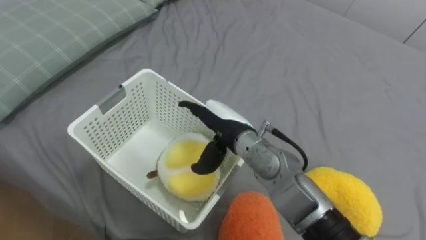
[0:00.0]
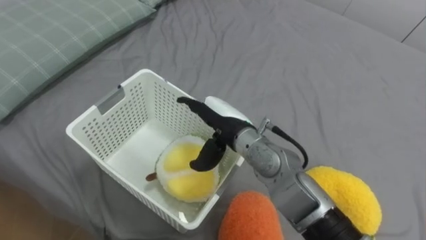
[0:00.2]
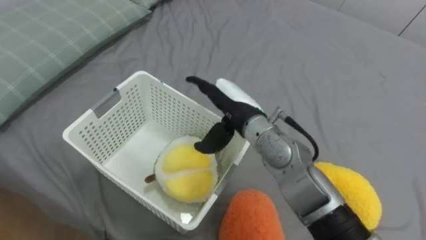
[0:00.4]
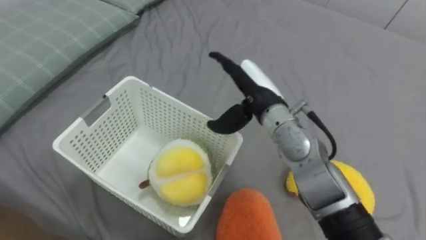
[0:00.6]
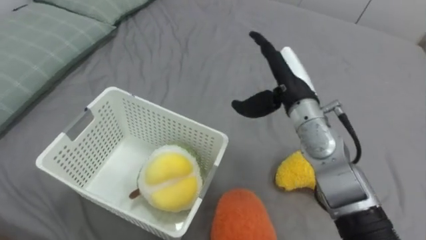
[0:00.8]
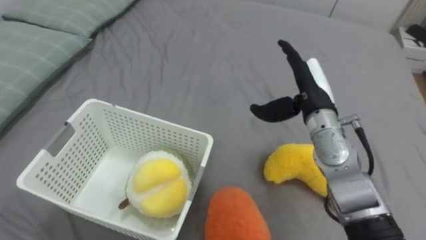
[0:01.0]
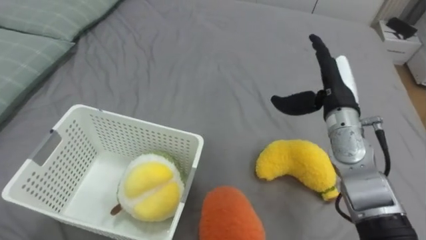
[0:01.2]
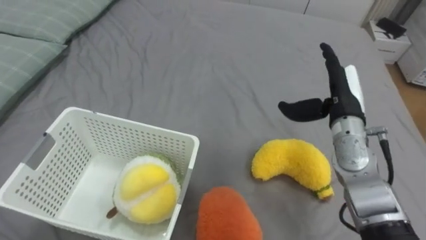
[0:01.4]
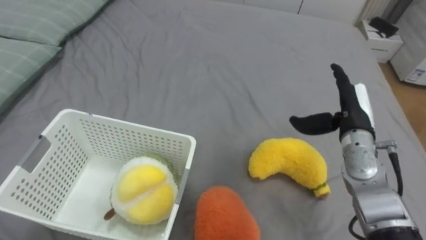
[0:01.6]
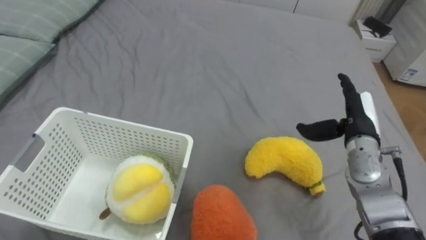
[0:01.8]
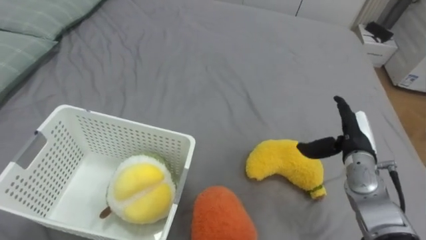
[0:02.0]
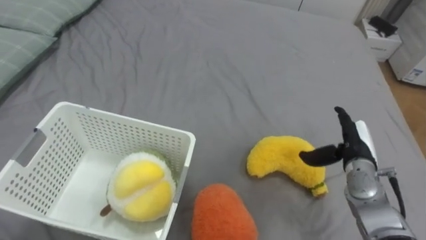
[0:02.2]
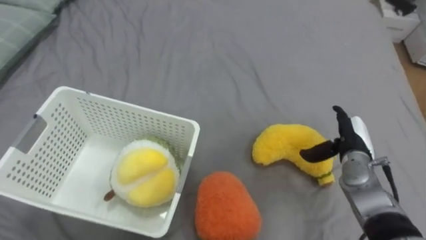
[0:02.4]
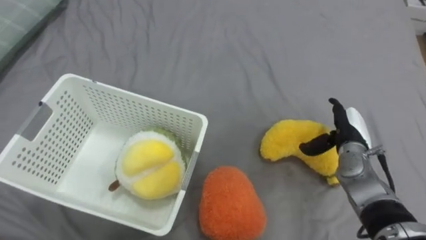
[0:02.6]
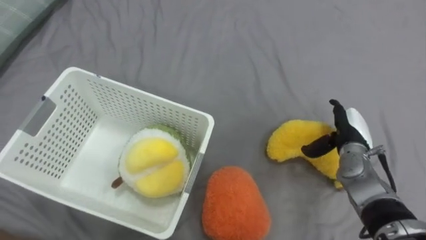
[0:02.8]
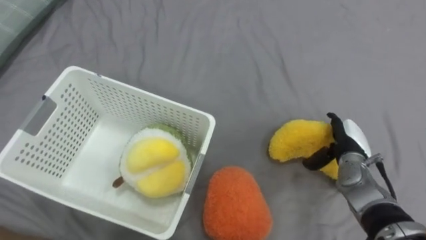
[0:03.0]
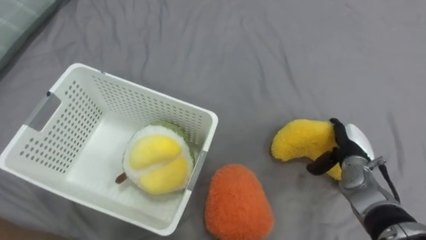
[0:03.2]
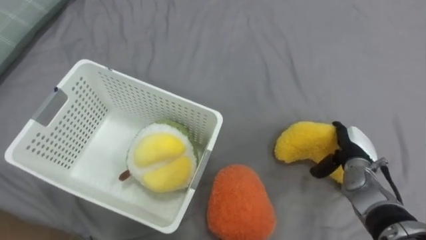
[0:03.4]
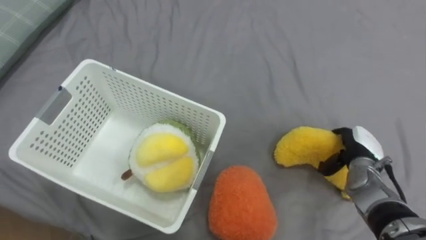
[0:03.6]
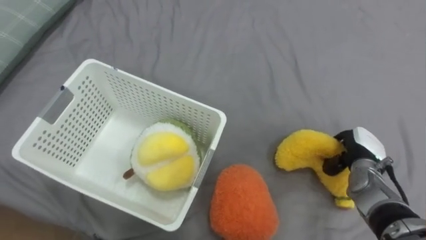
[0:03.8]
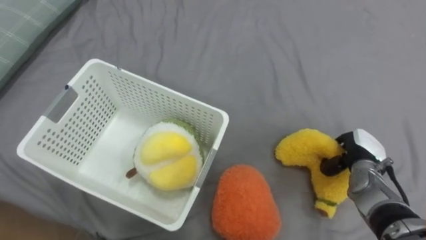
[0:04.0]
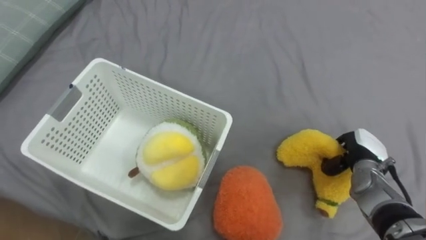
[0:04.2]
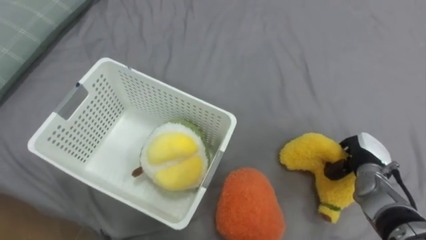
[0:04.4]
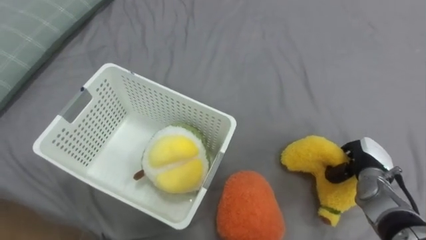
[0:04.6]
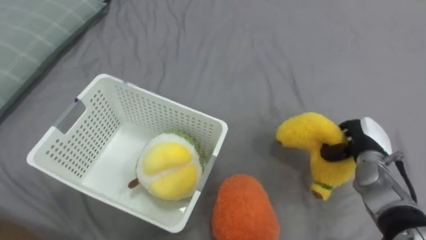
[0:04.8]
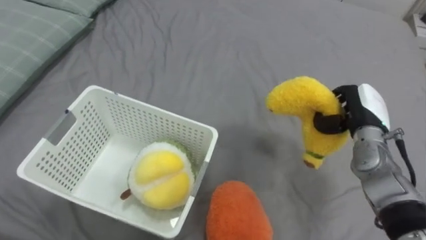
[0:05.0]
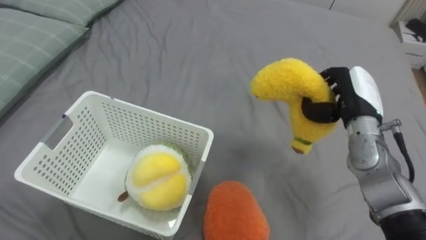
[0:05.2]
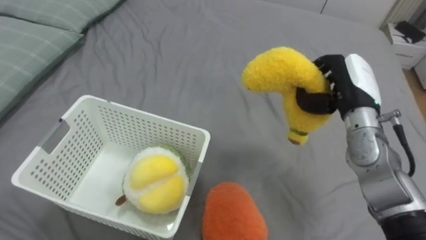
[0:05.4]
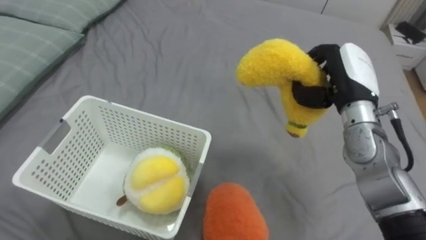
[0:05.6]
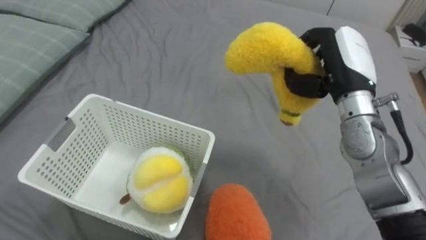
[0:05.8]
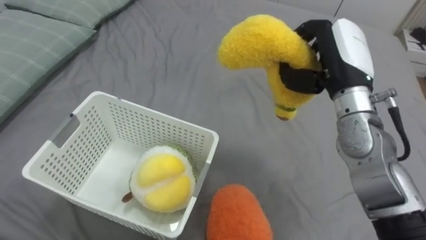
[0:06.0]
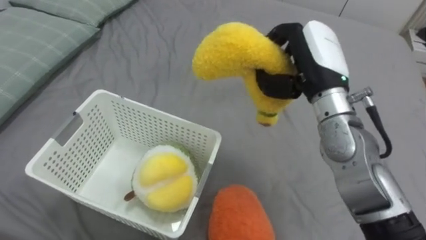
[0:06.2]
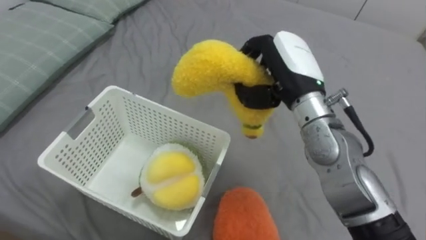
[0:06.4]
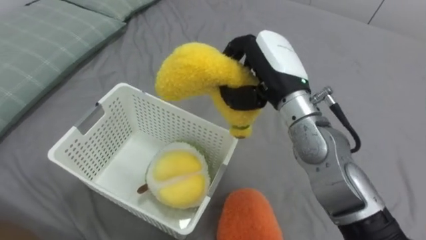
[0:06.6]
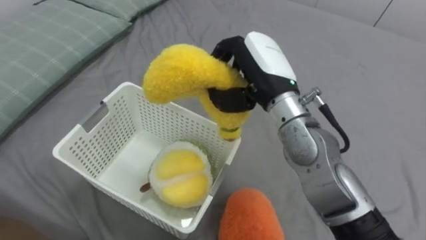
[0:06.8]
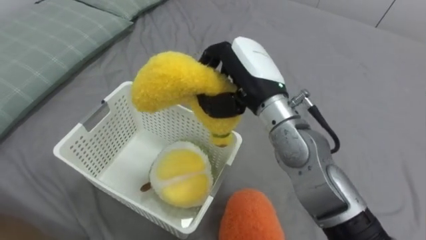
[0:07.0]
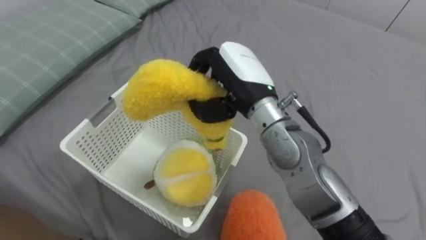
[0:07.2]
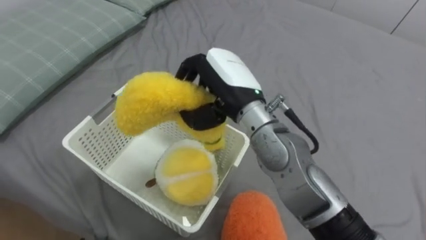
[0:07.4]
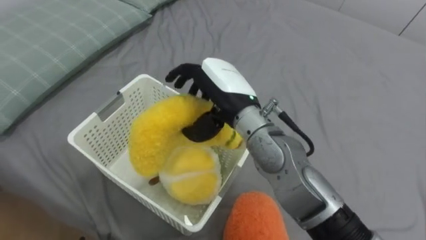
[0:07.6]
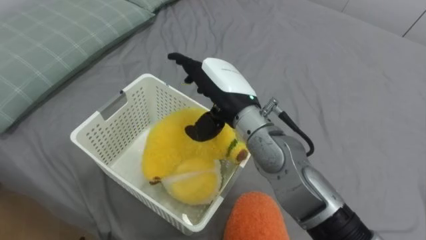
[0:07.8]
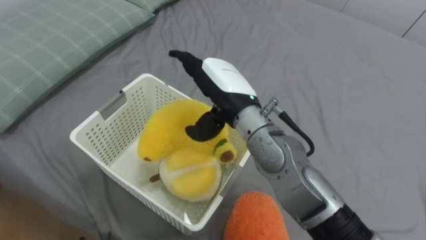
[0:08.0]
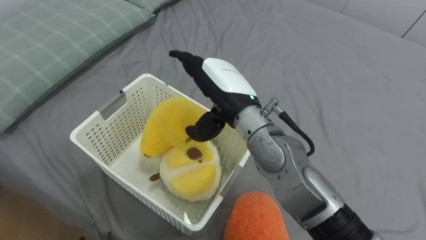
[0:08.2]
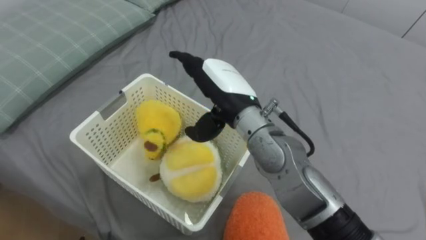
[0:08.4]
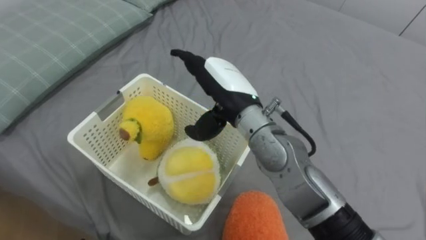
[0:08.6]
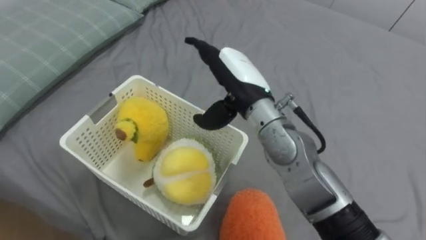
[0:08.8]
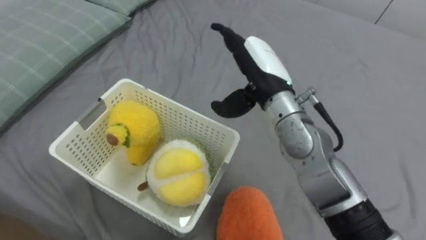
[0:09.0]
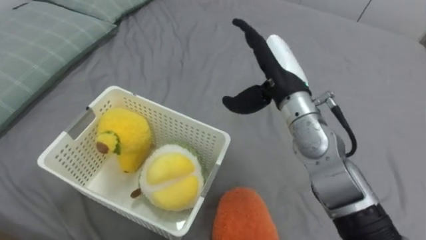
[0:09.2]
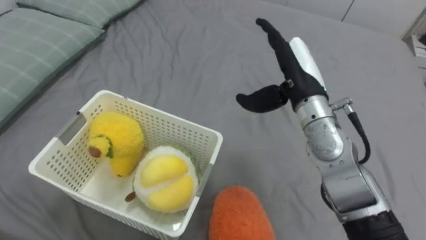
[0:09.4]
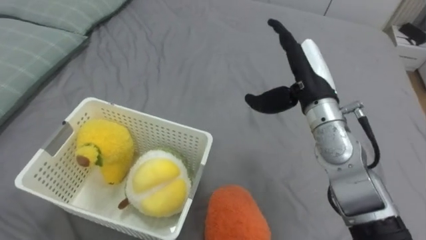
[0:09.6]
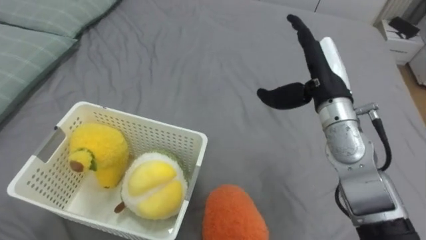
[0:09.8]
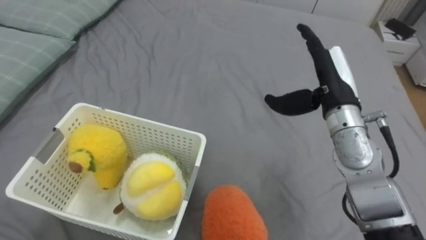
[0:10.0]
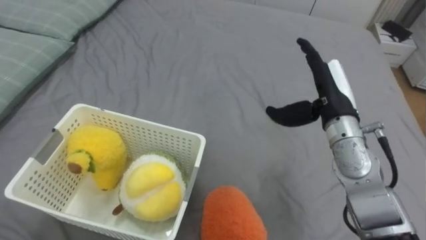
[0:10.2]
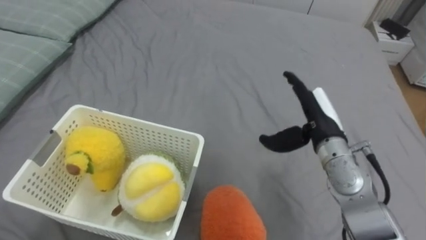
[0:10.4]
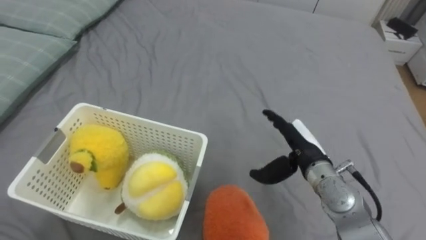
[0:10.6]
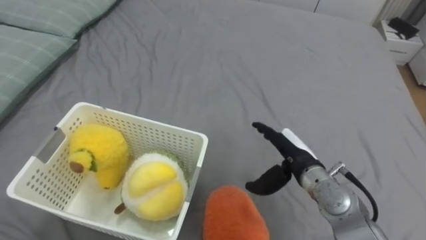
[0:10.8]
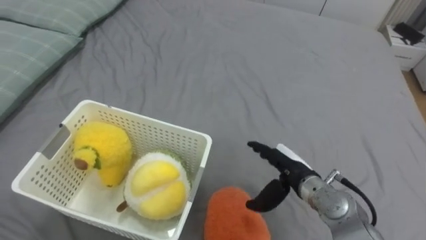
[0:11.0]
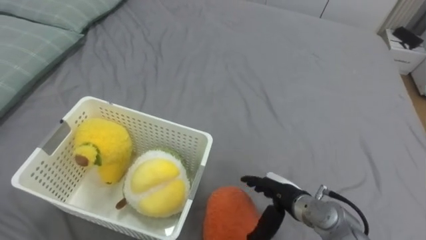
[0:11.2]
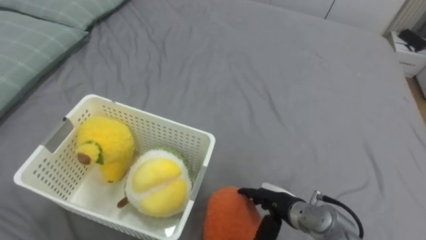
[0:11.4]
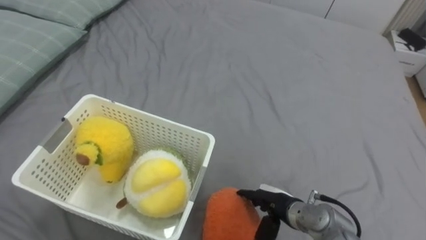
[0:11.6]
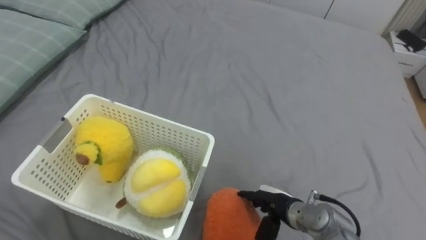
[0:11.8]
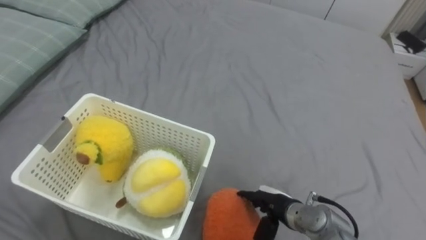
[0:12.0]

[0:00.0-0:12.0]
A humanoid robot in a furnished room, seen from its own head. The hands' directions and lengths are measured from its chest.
Task of the whole recording: Put the toys on the bed into the basket on the left.
0:00.0 to 0:01.6: The right hand is displaced to the right by about 25 cm.
0:01.6 to 0:03.0: The right hand is displaced downward by about 10 cm.
0:03.0 to 0:04.4: The right hand closes.
0:04.4 to 0:06.0: The right hand travels upward and to the left by approximately 25 cm.
0:06.0 to 0:07.6: The right hand goes about 20 cm to the left.
0:07.6 to 0:09.0: The right hand moves to the right, roughly 5 cm, and opens up.
0:09.0 to 0:10.4: The right hand goes approximately 15 cm to the right and downward.
0:10.4 to 0:12.0: The right hand goes roughly 20 cm downward and backward.

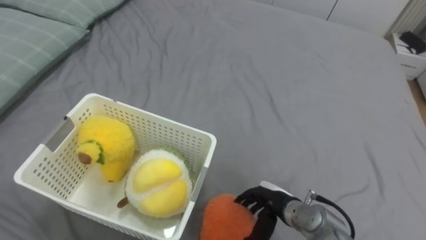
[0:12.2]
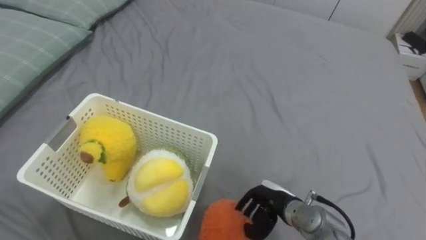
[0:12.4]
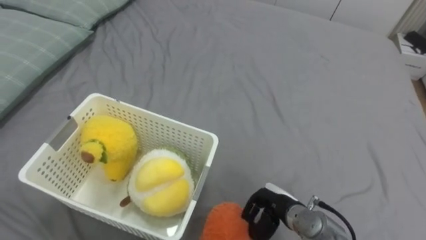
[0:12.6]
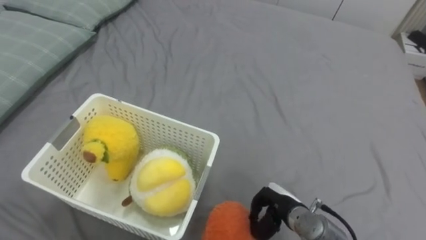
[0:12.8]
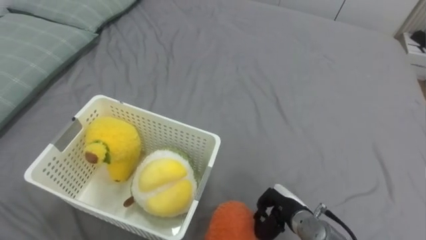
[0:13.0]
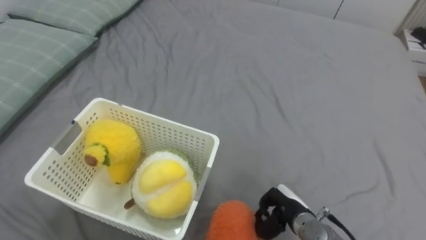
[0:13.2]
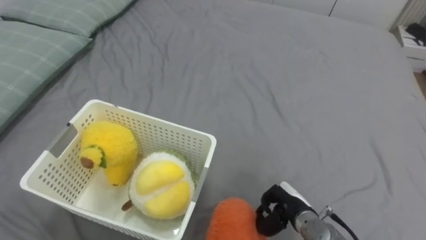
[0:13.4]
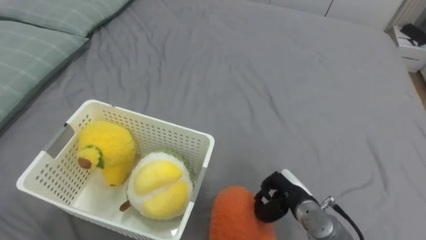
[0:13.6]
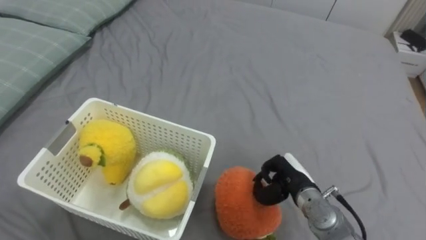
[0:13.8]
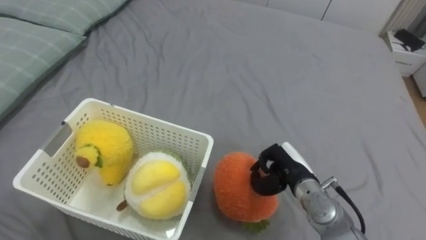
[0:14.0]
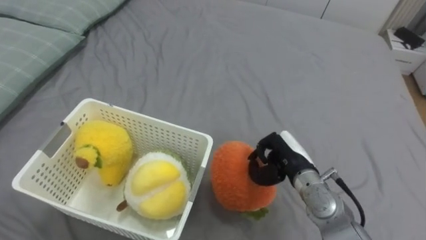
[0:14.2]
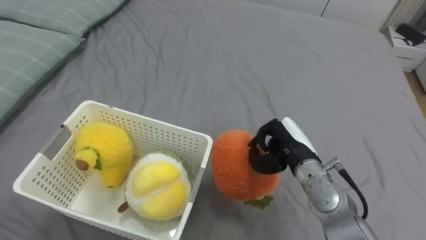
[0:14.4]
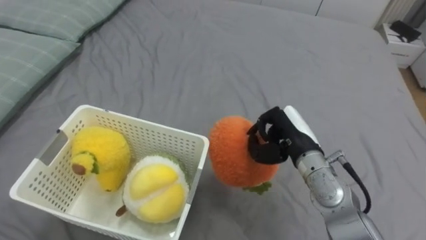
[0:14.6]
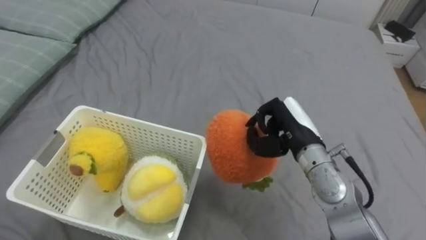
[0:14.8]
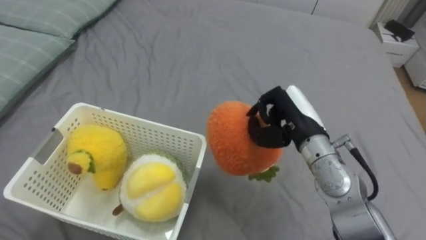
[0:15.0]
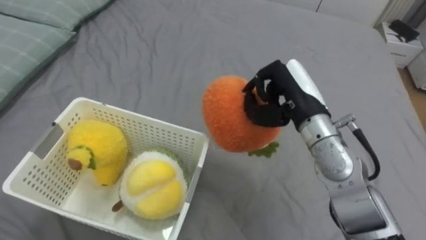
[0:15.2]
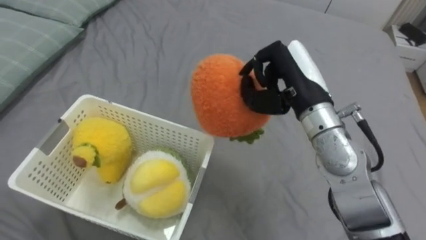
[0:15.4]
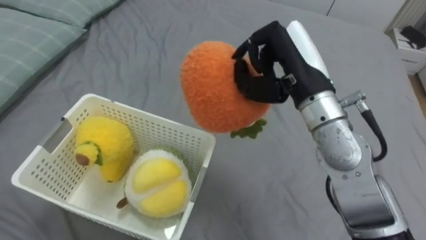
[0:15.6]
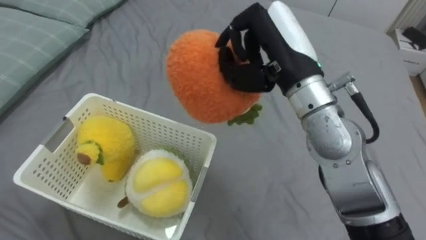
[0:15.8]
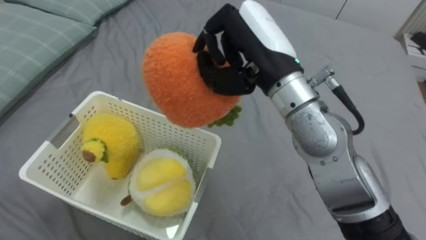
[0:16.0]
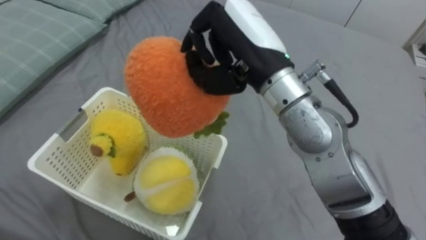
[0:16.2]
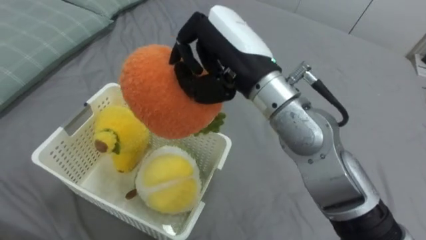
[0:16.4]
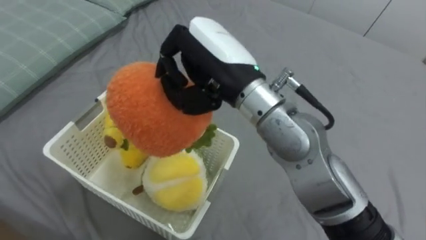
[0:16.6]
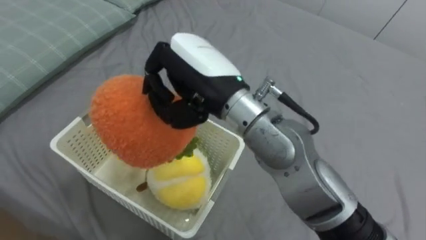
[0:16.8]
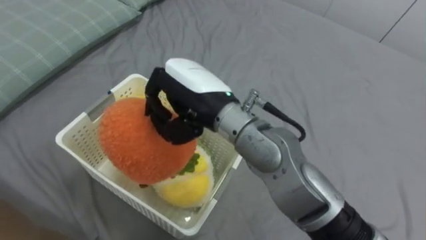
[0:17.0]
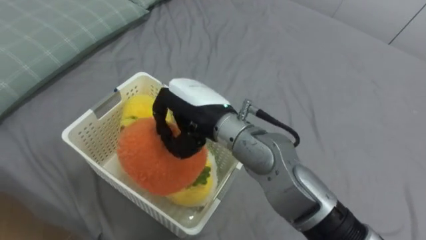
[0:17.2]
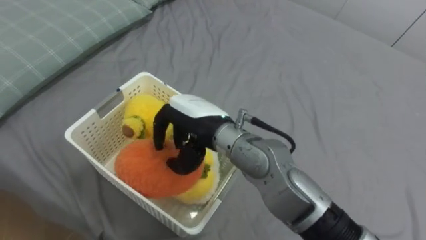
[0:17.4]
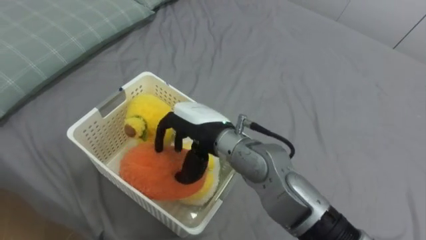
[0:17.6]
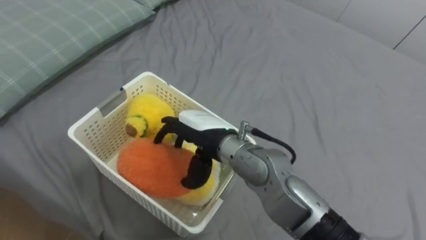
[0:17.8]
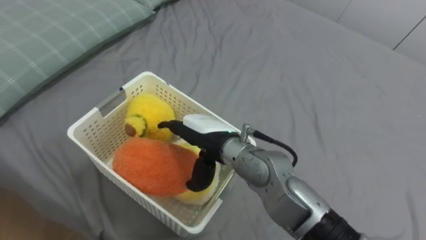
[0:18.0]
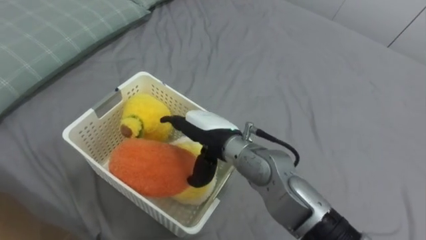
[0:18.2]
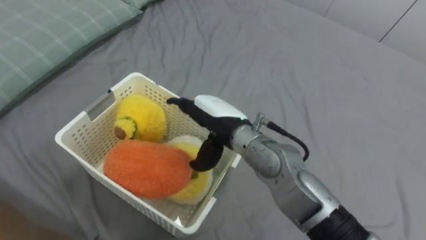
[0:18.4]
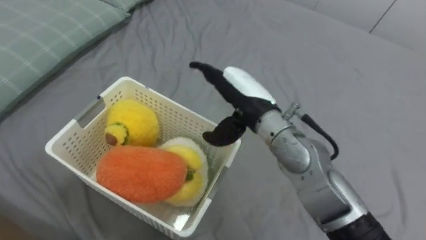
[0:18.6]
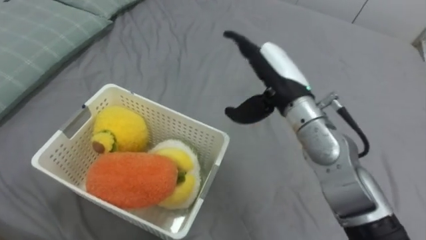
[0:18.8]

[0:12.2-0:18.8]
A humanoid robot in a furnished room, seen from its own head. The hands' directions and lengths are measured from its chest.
Task of the whole recording: Put the toys on the bed into the basket on the left.
0:12.2 to 0:13.8: The right hand moves some 5 cm, and closes its fingers.
0:13.8 to 0:15.4: The right hand shifts about 25 cm upward.
0:15.4 to 0:17.2: The right hand goes about 15 cm to the left.
0:17.2 to 0:18.8: The right hand is displaced to the right by roughly 15 cm, and opens up.
